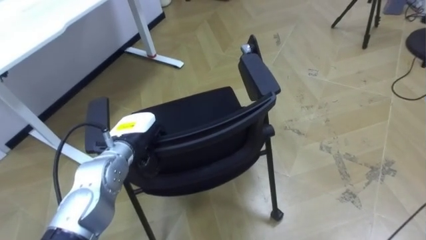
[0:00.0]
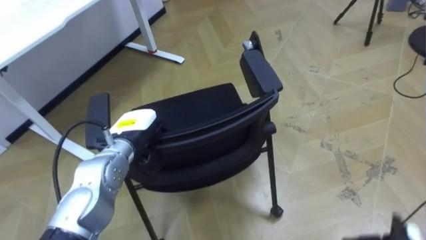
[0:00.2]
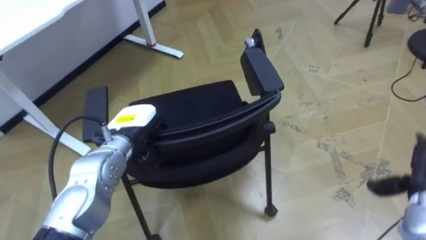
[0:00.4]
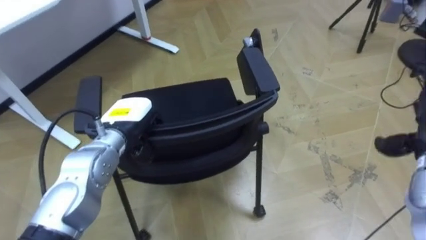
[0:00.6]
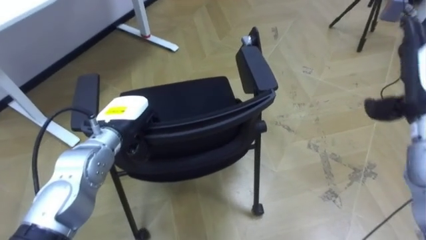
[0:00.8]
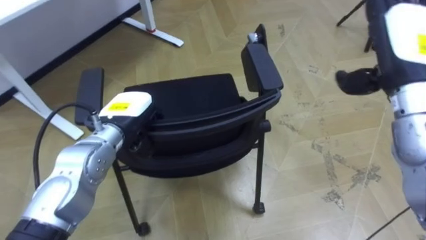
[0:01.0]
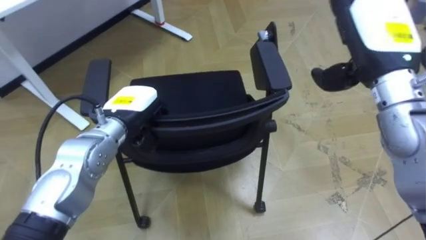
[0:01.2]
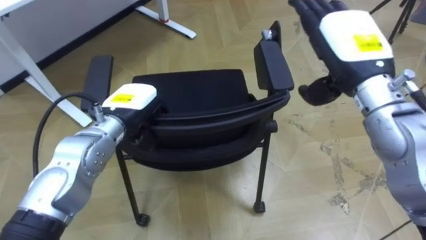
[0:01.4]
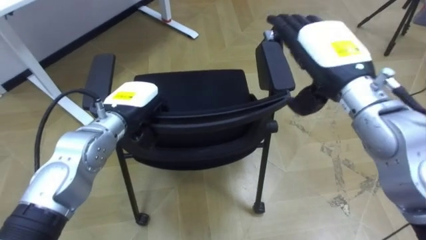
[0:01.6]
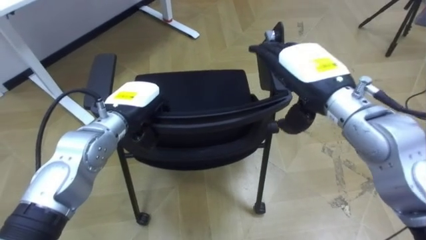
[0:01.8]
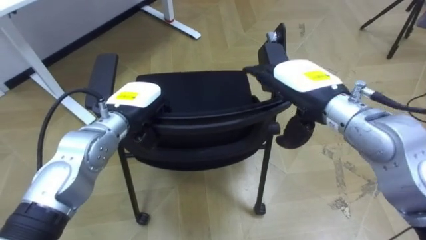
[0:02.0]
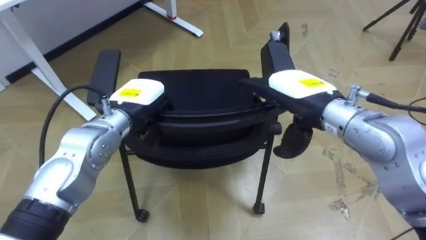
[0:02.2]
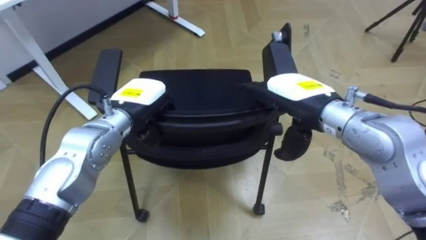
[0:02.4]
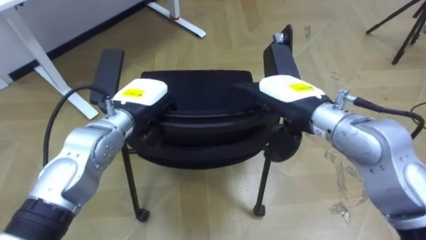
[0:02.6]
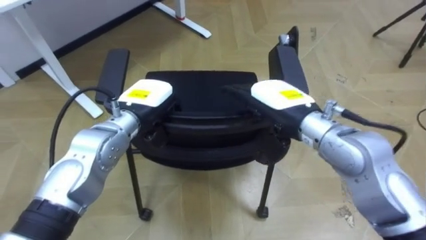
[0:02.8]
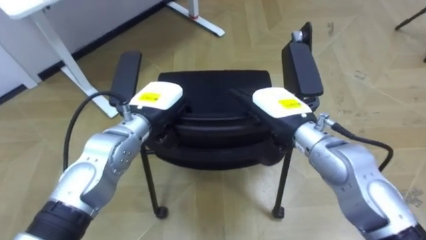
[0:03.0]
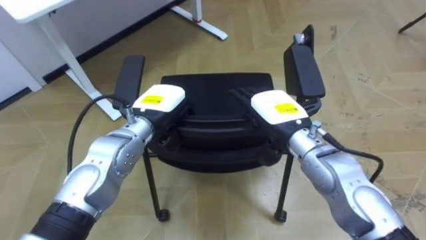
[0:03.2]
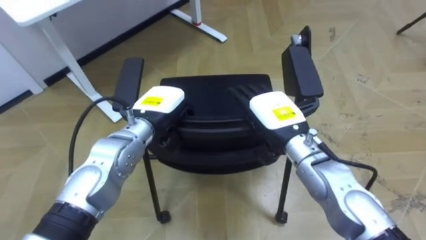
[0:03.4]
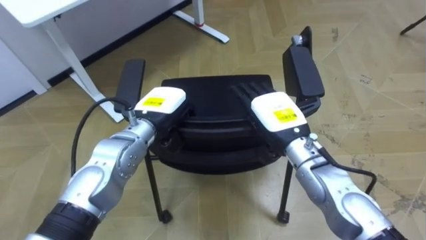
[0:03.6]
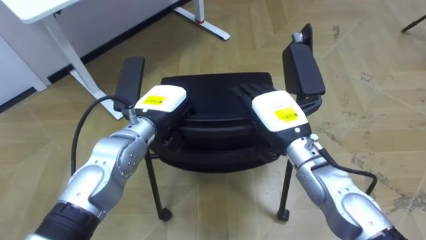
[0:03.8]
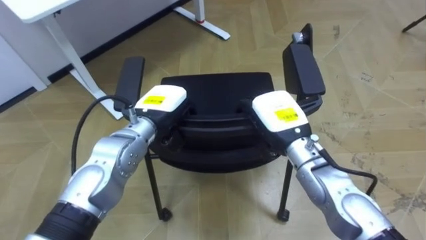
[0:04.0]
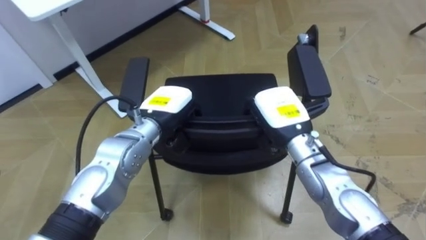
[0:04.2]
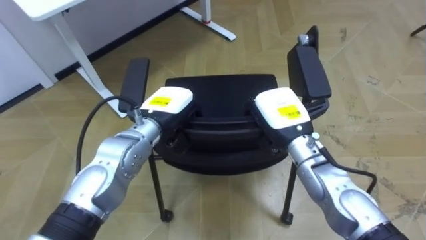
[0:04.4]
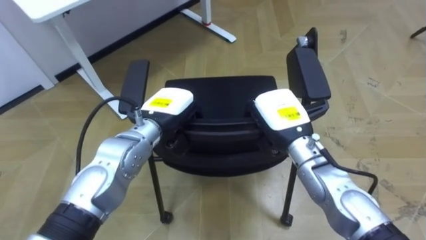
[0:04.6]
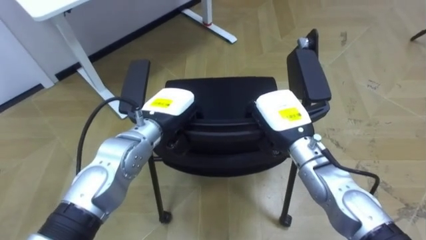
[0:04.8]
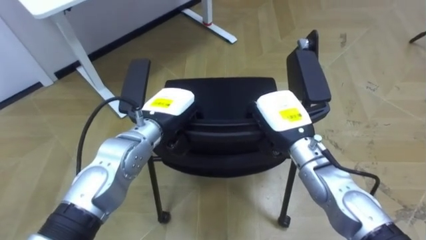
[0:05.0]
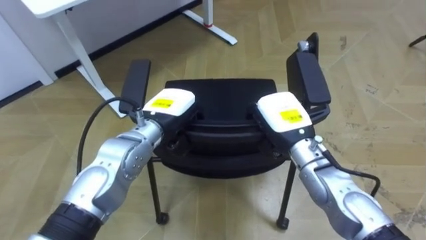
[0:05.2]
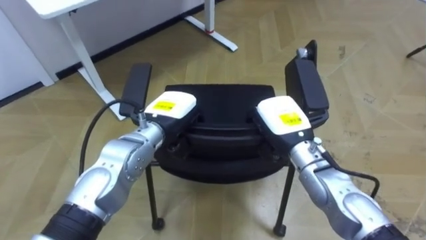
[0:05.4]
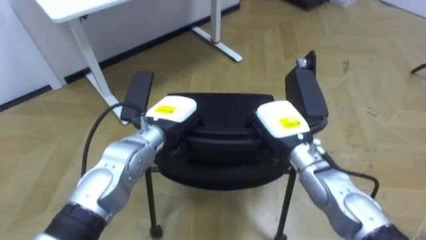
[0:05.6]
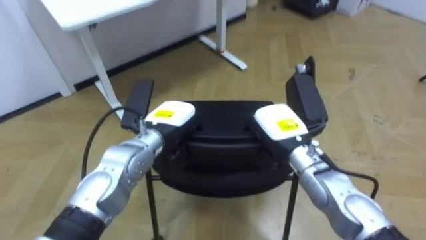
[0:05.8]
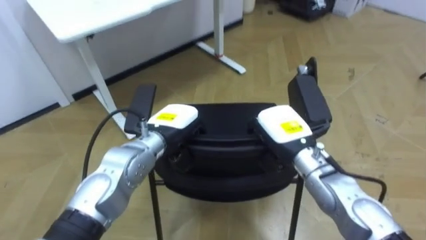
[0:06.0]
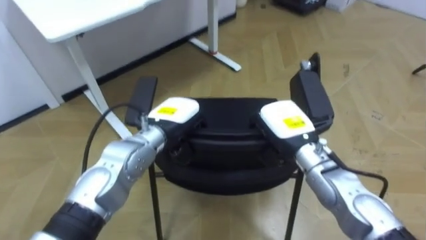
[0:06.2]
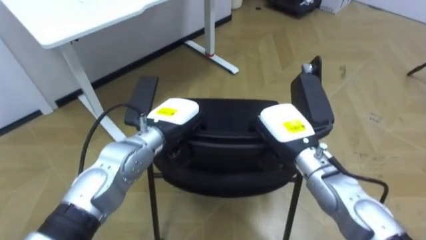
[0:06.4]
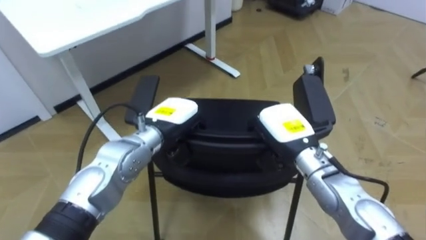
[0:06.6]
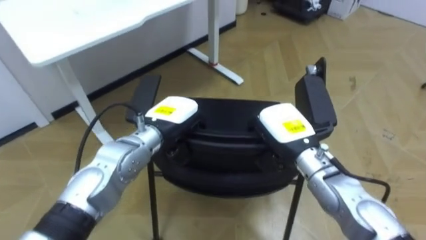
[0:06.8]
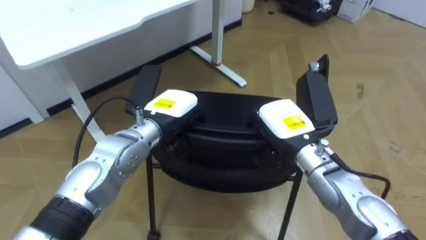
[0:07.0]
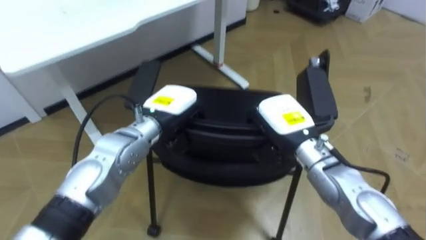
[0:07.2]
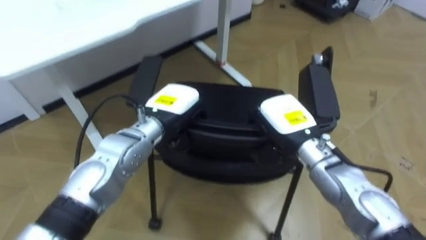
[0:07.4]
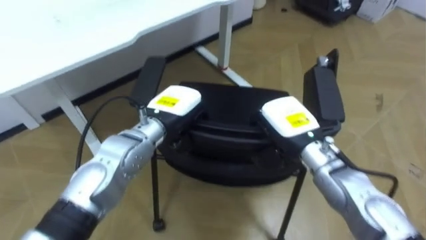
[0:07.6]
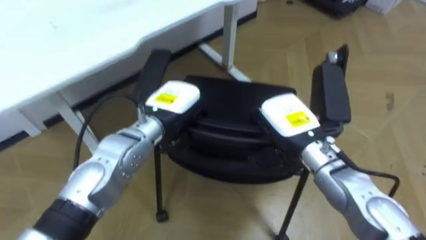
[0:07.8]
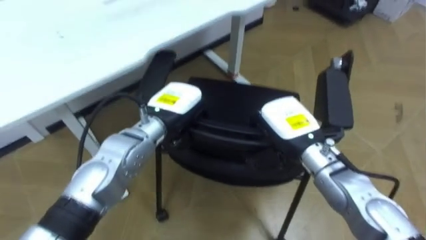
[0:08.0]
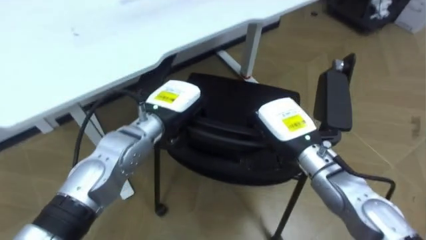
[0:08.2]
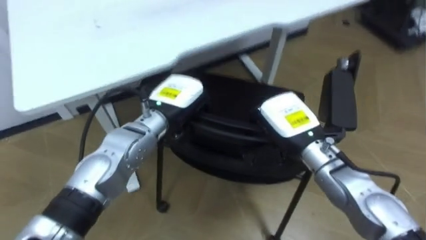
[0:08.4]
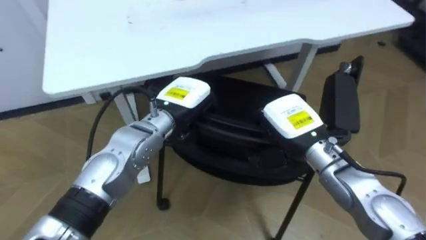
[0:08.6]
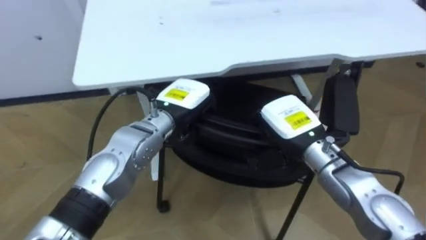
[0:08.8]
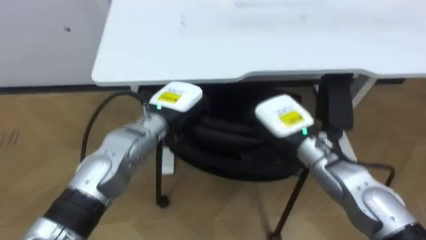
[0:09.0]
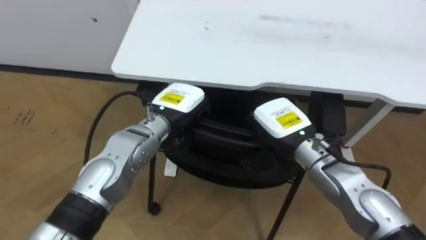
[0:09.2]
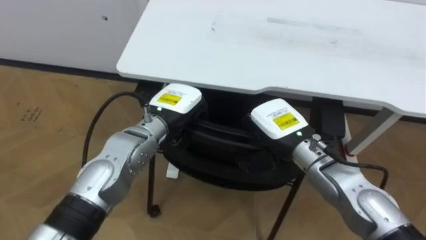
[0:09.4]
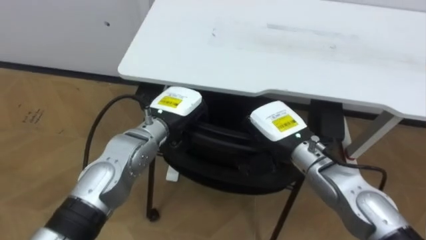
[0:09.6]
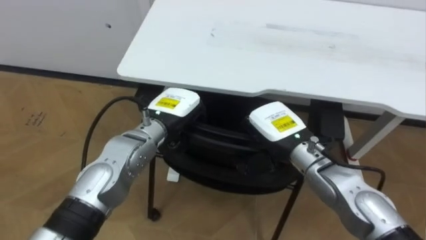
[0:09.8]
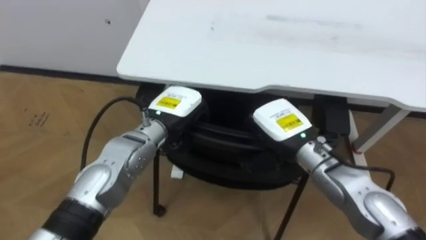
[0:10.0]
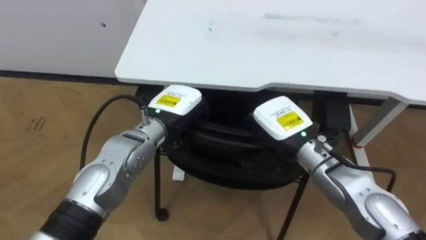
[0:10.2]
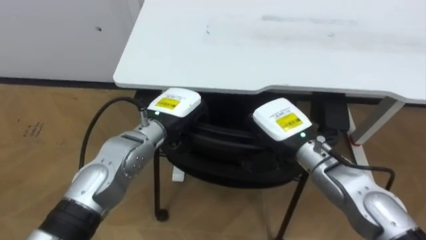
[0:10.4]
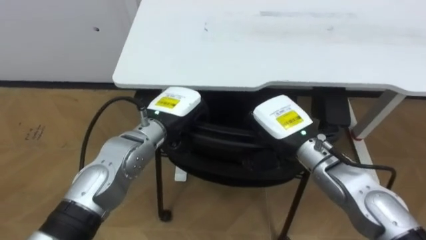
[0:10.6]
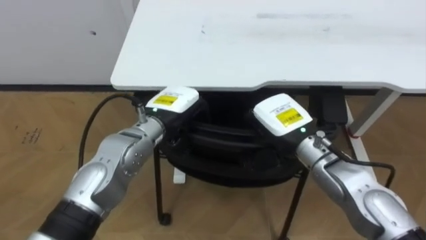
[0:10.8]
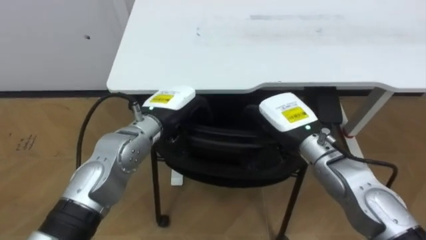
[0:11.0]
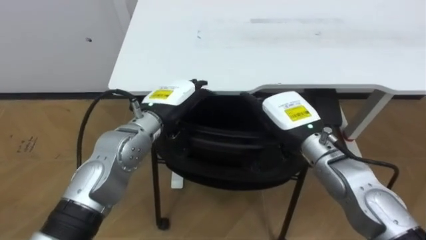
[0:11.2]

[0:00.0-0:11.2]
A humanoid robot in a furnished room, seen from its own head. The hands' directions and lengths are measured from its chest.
Task of the whole recording: Push the chair under the table.
0:00.0 to 0:01.6: The left hand is displaced upward by about 5 cm.
0:01.6 to 0:03.2: The left hand is displaced to the right by approximately 5 cm, while the right hand goes about 15 cm downward and to the left.
0:03.2 to 0:04.8: The right hand closes.
0:08.0 to 0:09.6: The robot faces approximately 45 degrees further to its left.
0:09.6 to 0:11.2: The right hand opens. The left hand opens its fingers.

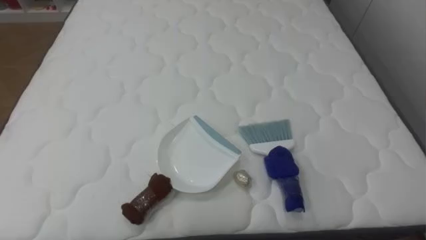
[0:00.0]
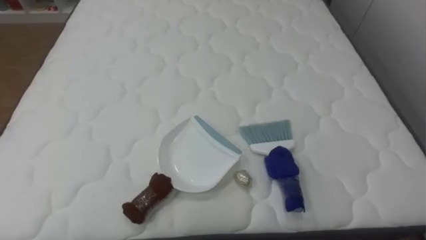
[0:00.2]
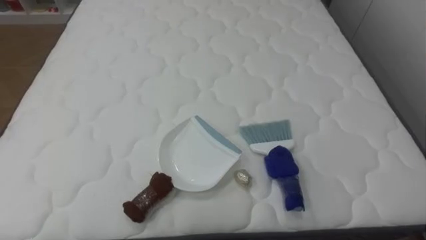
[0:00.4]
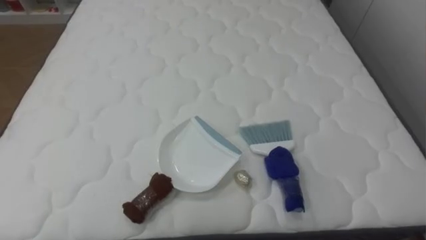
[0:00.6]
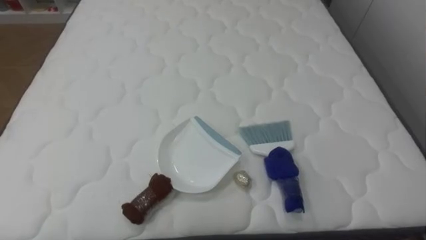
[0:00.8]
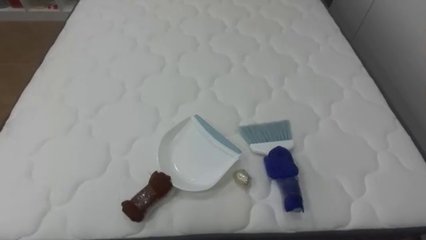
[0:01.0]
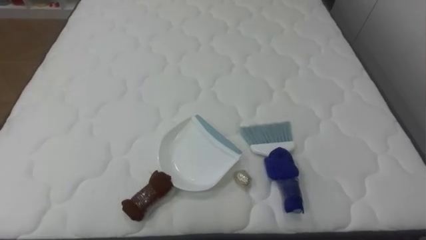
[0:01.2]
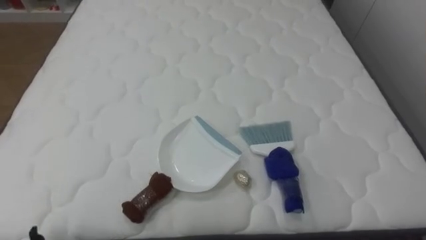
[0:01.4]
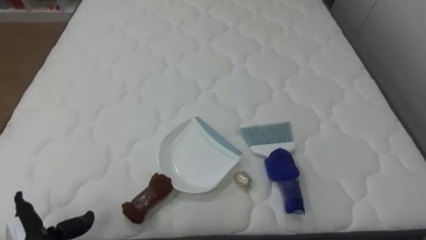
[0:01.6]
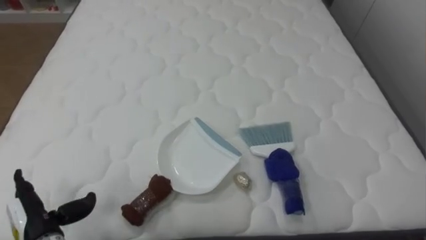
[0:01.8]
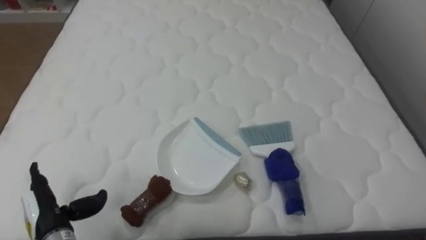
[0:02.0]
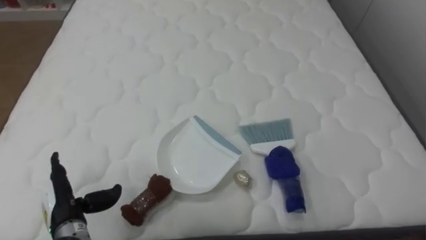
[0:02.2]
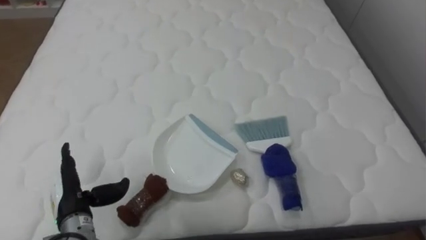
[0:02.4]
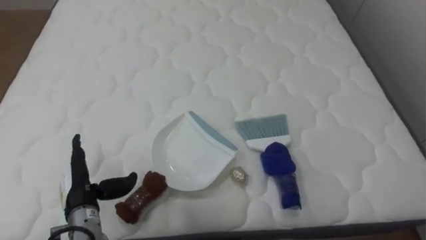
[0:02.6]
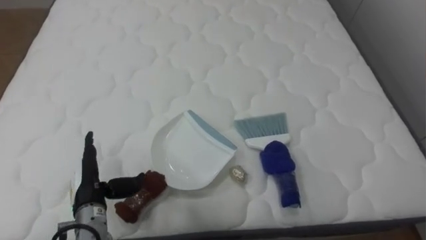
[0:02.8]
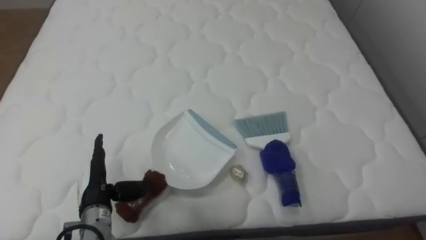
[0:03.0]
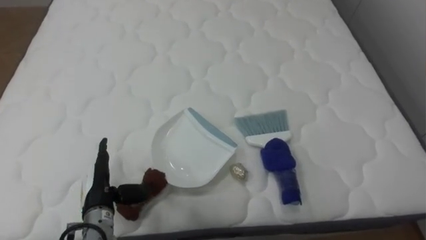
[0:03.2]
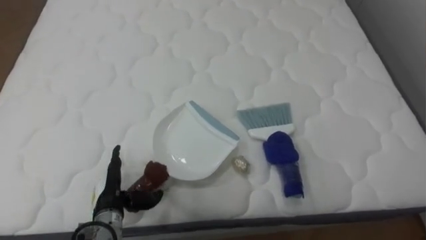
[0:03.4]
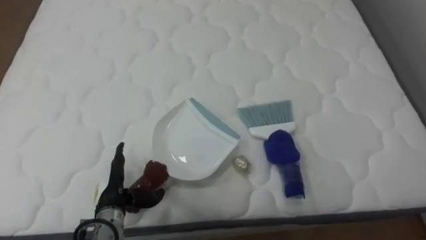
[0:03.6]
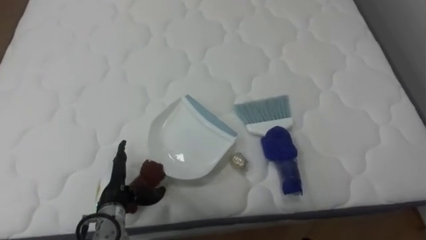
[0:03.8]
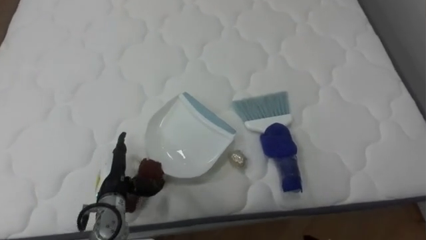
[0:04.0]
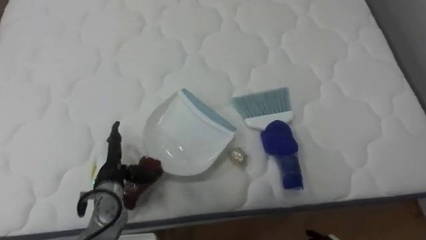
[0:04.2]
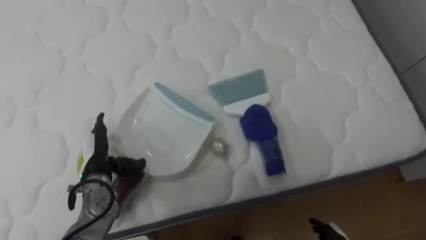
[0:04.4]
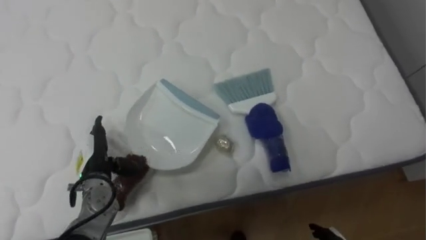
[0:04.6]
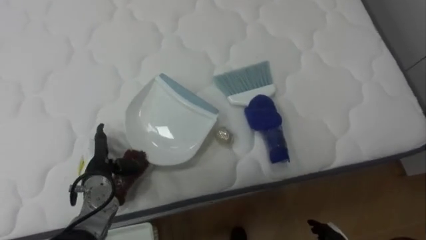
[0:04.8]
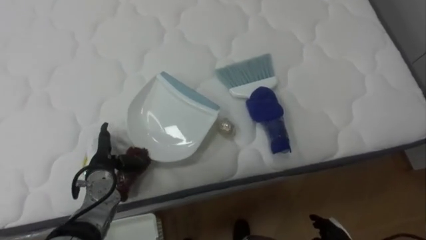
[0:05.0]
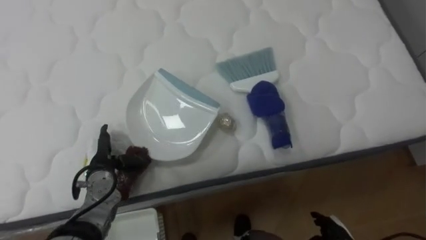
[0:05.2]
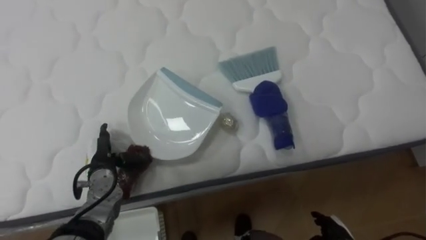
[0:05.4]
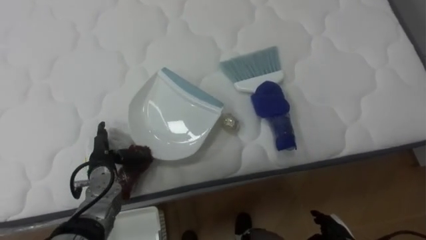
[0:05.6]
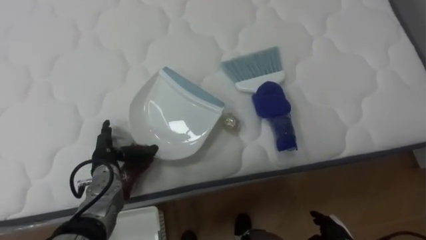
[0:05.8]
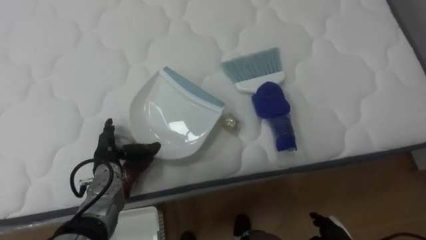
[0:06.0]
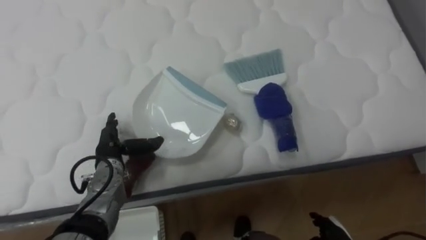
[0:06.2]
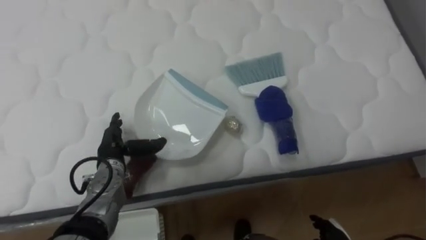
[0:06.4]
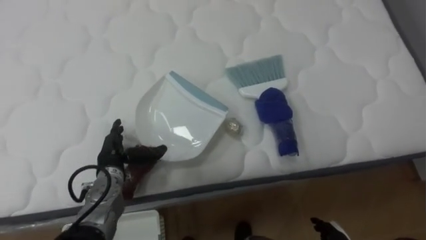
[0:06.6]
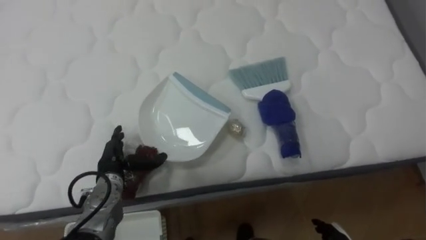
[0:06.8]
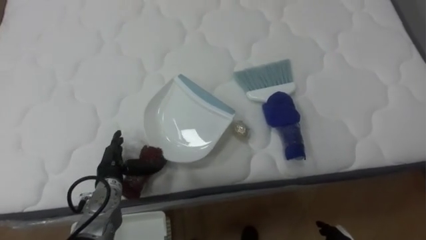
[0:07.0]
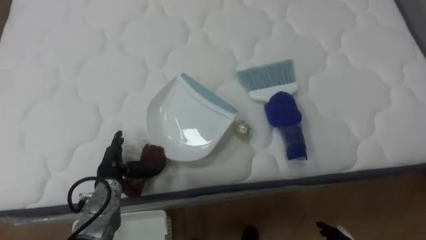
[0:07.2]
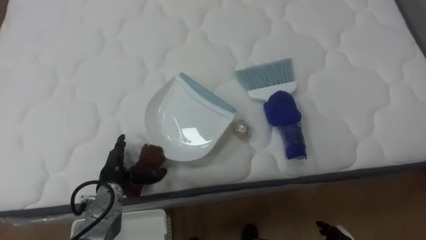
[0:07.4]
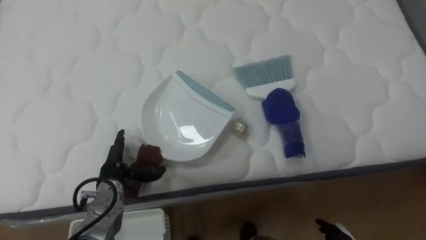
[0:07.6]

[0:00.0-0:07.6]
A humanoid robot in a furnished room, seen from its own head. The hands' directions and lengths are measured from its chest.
Task of the whole recording: Pick up the brush on your right and the dustpan on your left. Use the brush to sweep the crumpled paper on the bed into the dustpan, then turn left and empty it into the basket.
0:03.0 to 0:04.6: The left hand heads forward, covering roughly 5 cm.
